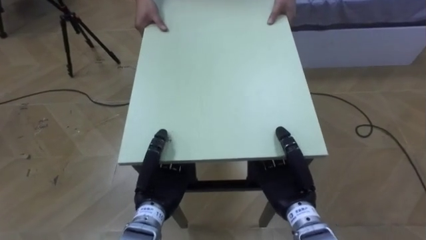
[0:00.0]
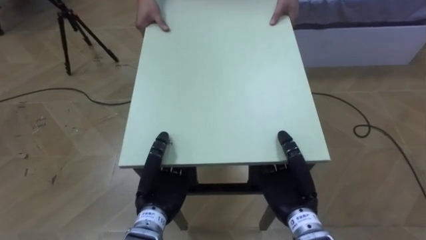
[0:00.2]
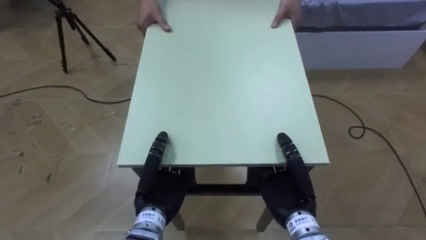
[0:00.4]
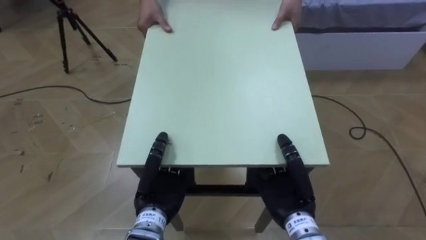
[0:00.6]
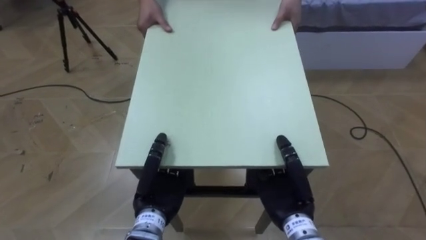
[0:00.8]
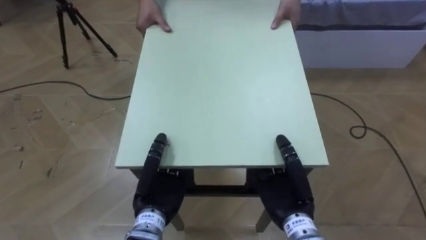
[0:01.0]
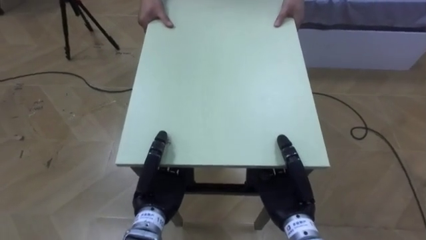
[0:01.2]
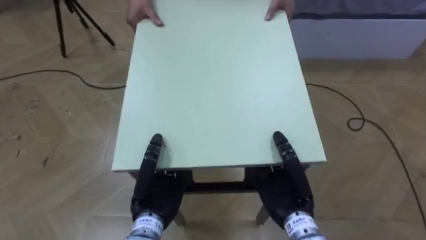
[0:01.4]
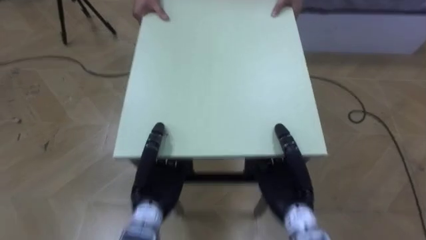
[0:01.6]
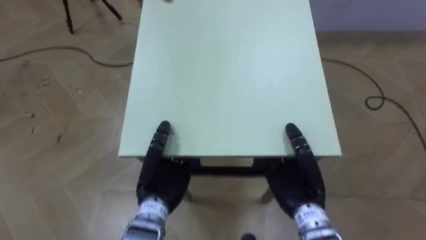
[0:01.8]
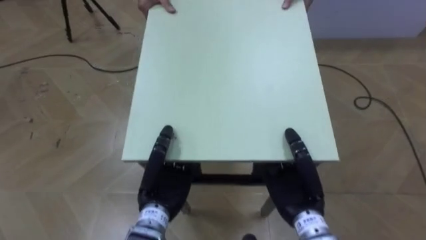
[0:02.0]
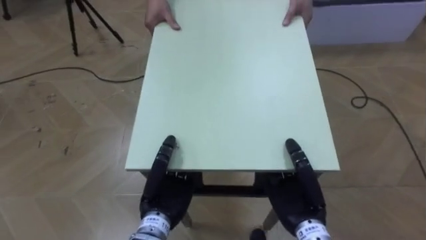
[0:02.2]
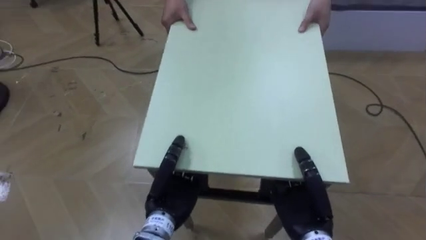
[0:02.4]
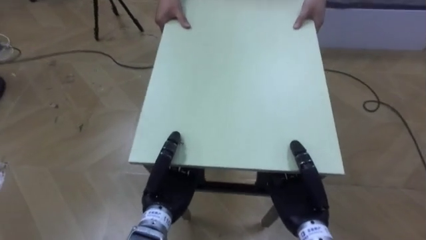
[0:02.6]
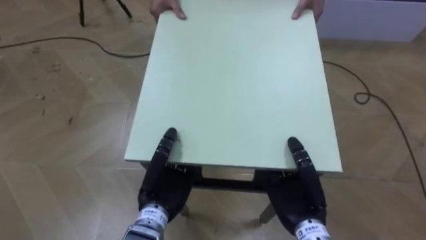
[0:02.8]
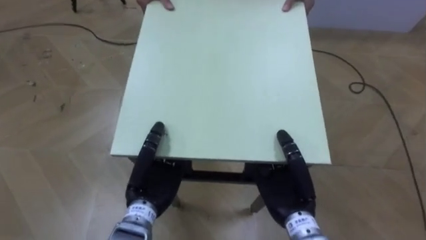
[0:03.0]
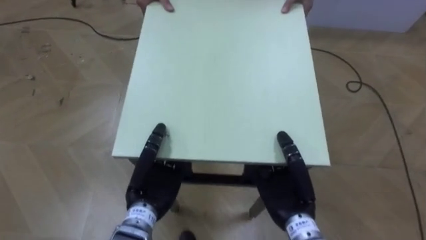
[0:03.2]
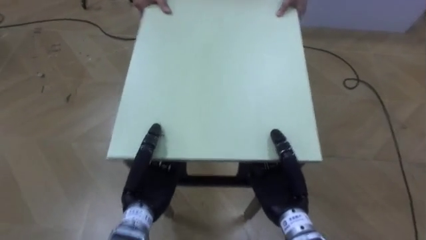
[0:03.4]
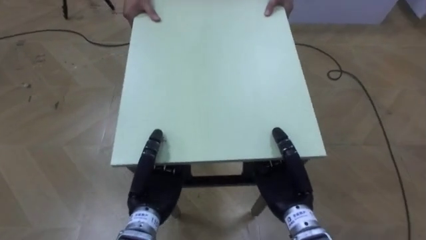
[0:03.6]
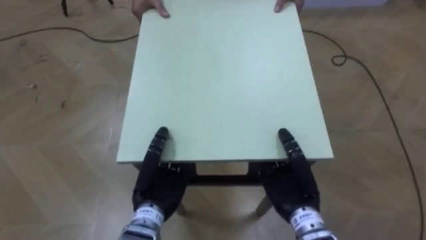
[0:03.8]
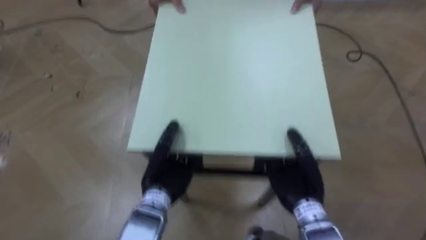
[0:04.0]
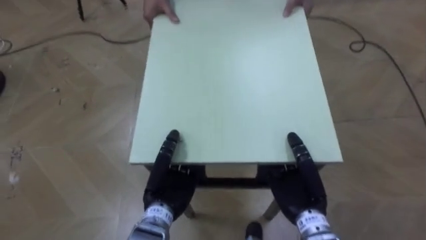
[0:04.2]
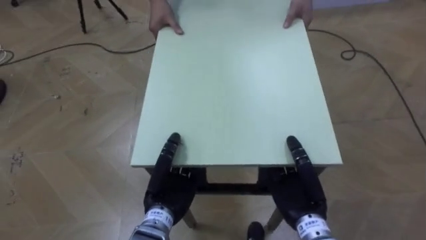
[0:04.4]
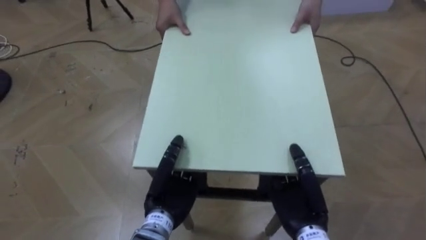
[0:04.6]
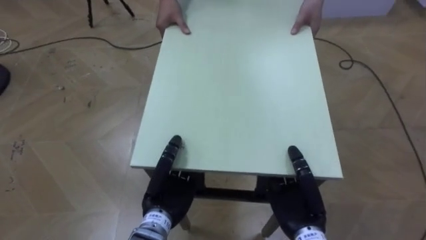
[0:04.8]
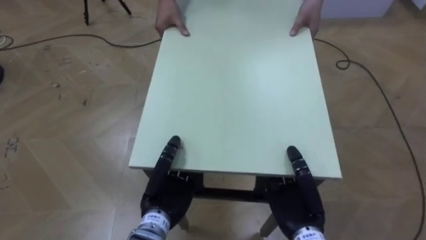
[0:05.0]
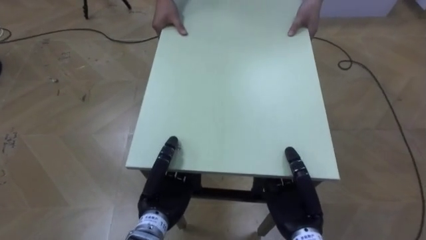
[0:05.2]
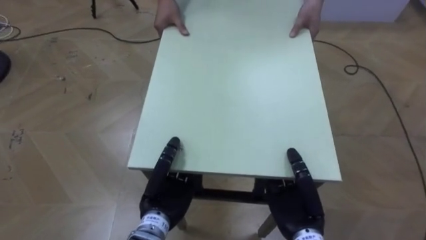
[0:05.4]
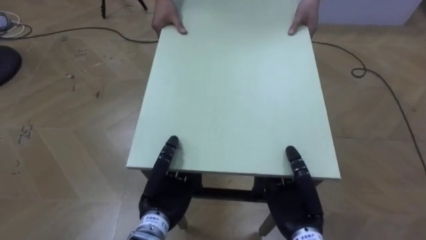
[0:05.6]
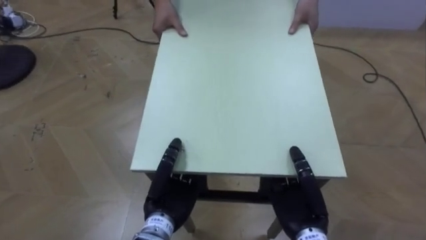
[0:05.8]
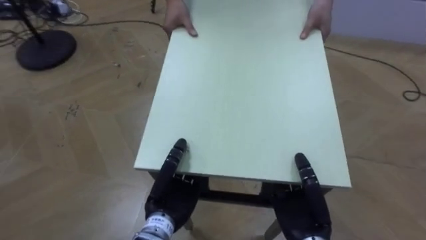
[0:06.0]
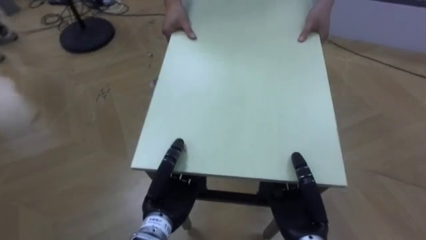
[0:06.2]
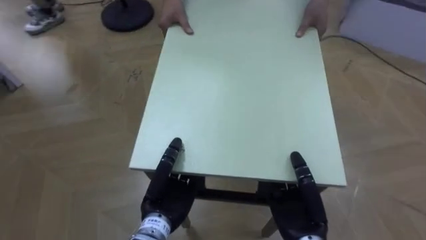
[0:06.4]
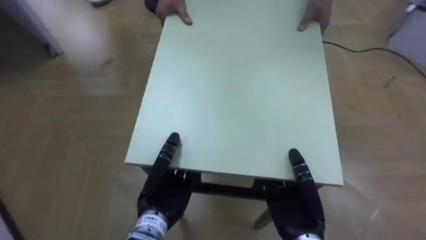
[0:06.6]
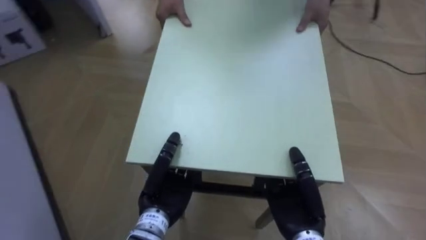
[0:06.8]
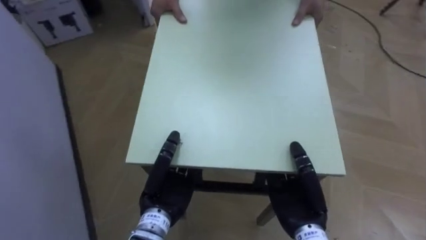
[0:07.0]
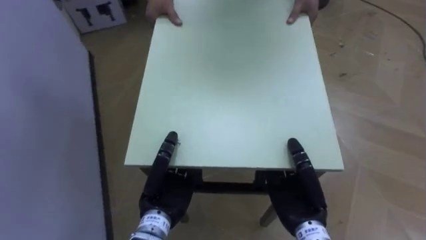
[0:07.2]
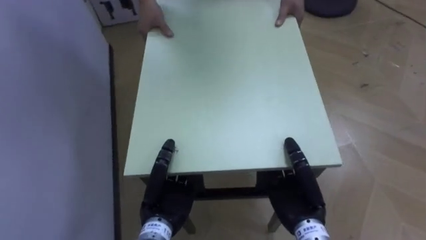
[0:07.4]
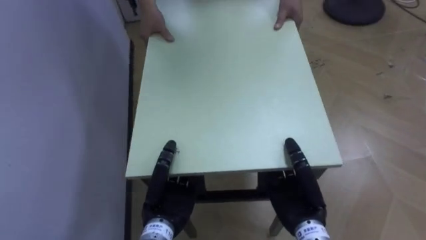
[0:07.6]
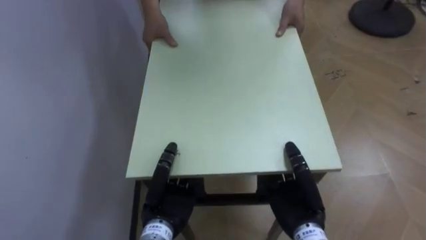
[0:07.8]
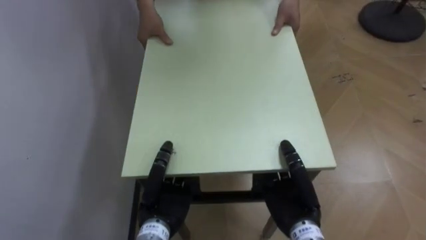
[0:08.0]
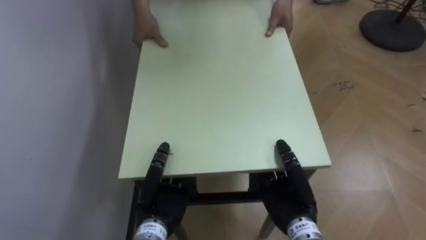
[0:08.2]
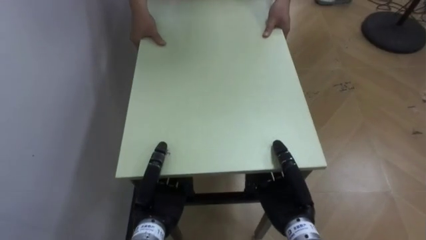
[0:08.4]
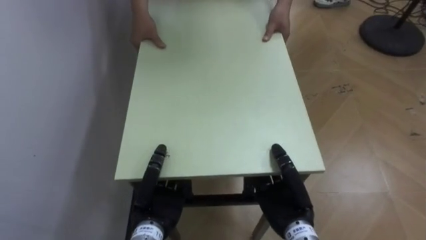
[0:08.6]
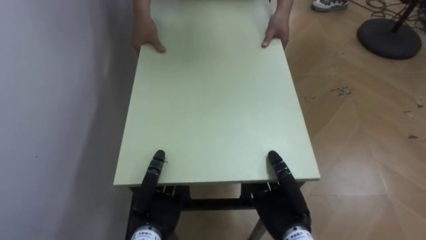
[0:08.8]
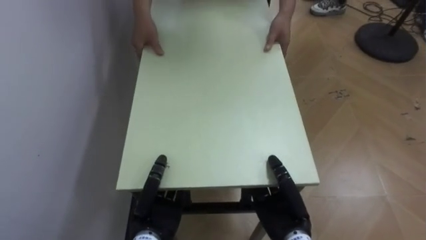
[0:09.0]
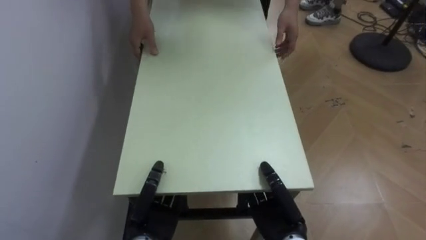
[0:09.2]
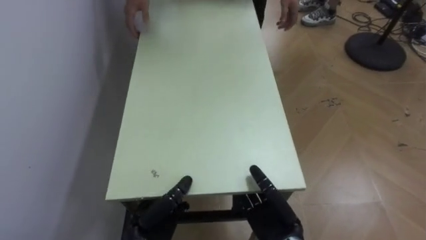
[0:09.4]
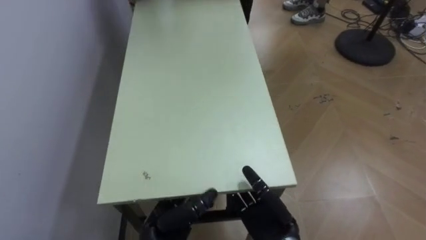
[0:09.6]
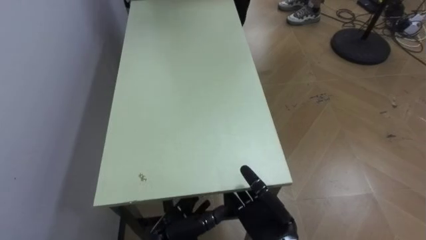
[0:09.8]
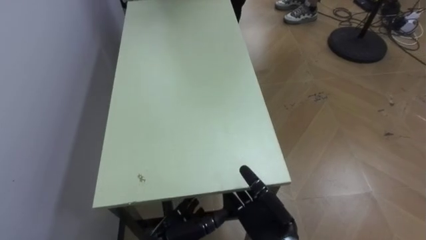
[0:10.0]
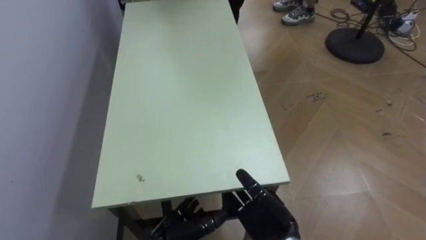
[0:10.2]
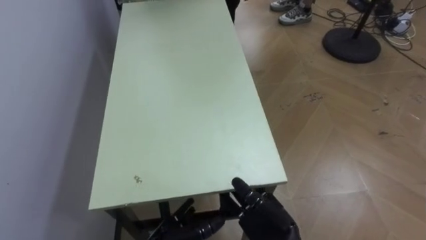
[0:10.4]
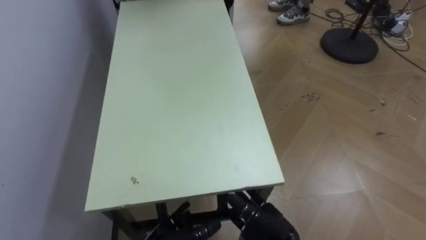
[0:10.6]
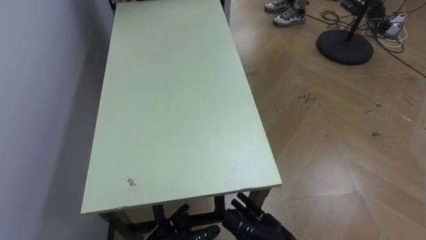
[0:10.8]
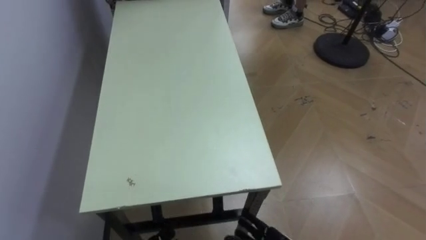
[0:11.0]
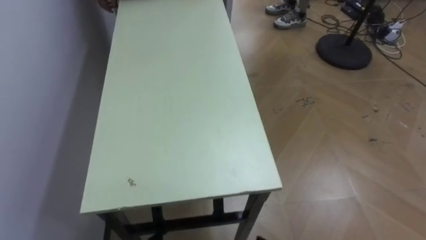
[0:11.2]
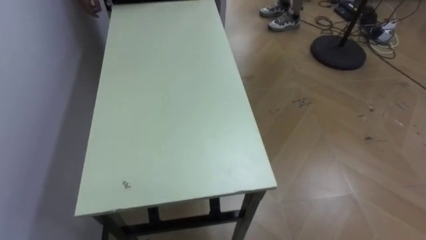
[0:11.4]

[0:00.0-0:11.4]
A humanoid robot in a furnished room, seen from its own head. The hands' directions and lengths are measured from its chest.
Task of the whole recording: Move the table to the back left with someone.
0:05.6 to 0:07.2: The robot turns to its left by roughly 60 degrees.
0:07.2 to 0:08.6: The robot's body swings roughly 20 degrees to its left.
0:08.6 to 0:10.0: The right hand opens its fingers. Meanwhile the left hand goes roughly 5 cm downward, and opens up.

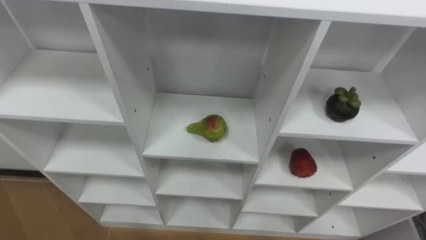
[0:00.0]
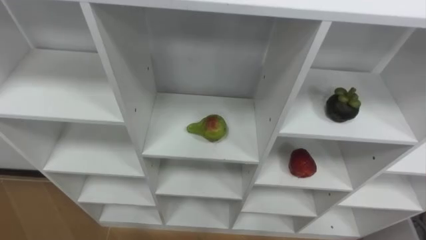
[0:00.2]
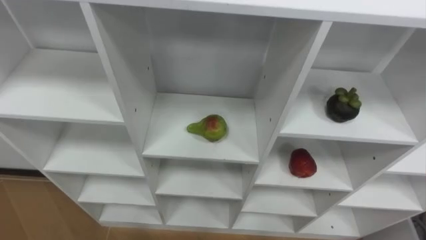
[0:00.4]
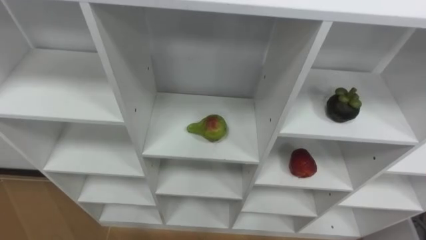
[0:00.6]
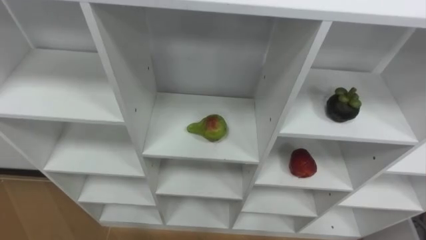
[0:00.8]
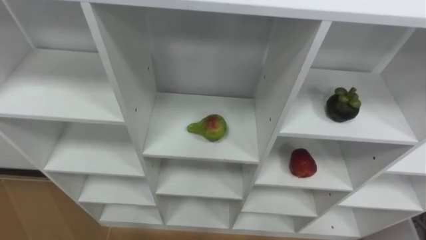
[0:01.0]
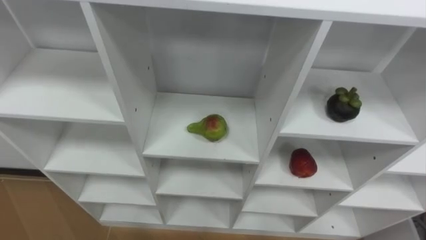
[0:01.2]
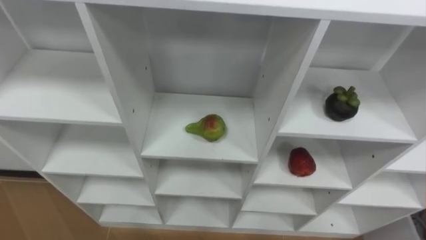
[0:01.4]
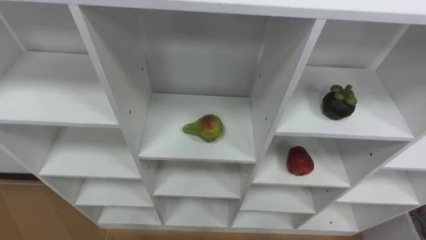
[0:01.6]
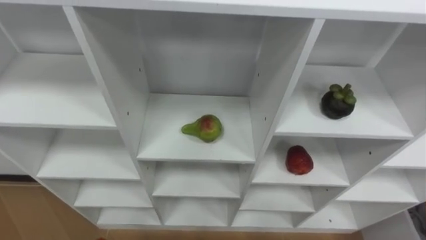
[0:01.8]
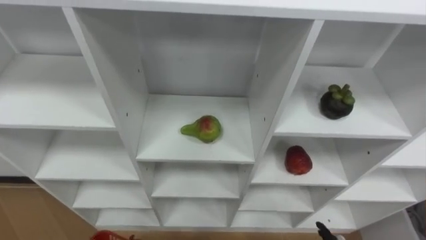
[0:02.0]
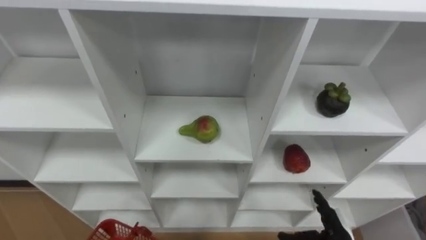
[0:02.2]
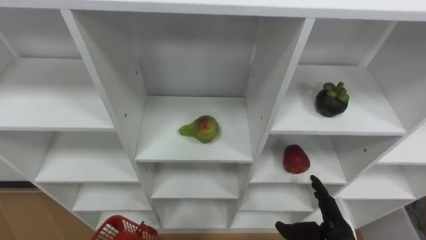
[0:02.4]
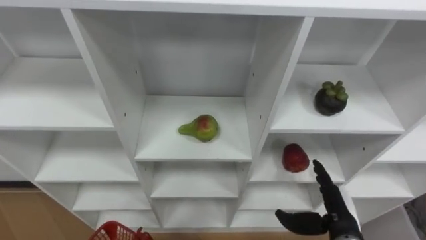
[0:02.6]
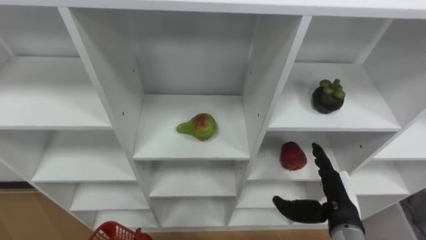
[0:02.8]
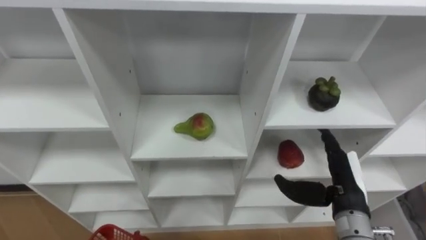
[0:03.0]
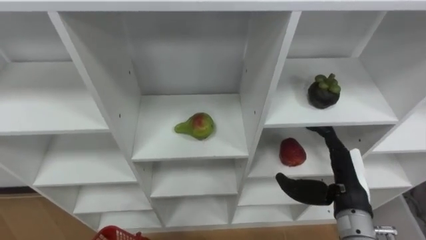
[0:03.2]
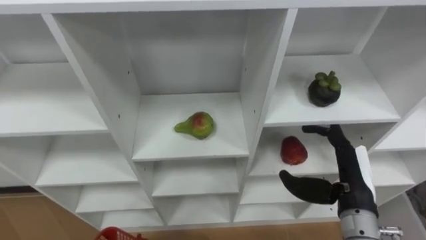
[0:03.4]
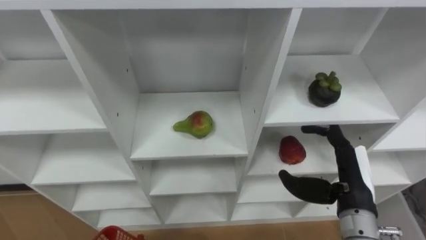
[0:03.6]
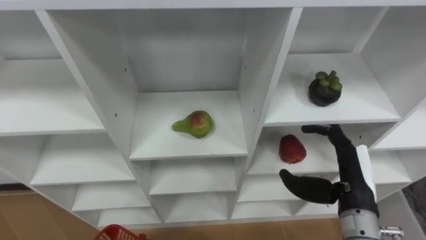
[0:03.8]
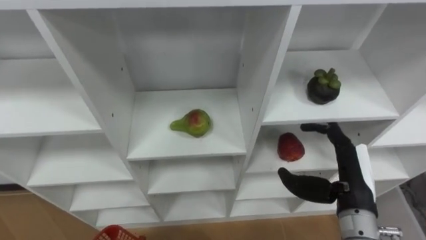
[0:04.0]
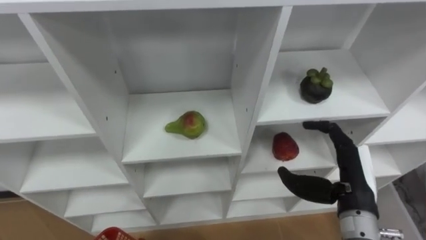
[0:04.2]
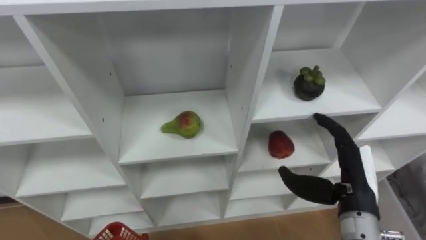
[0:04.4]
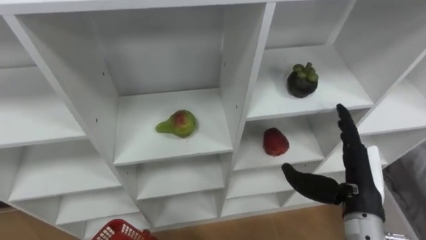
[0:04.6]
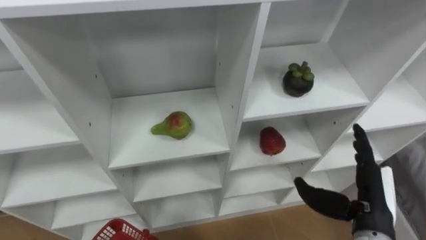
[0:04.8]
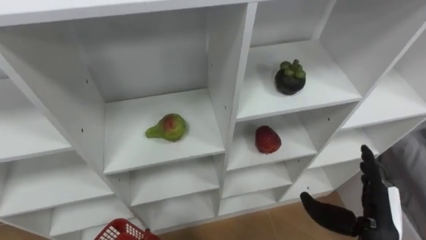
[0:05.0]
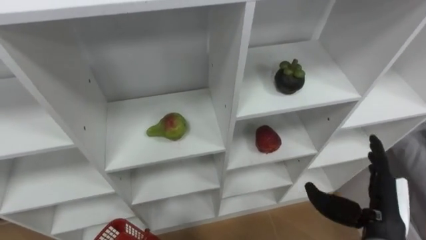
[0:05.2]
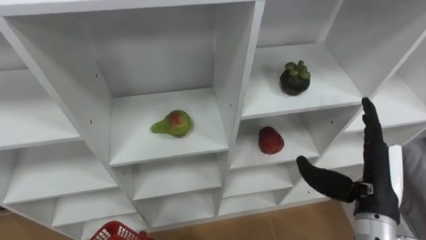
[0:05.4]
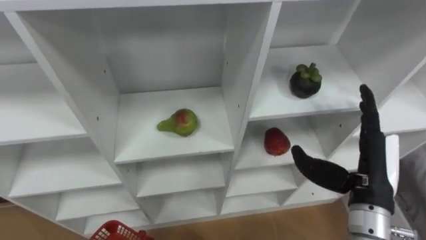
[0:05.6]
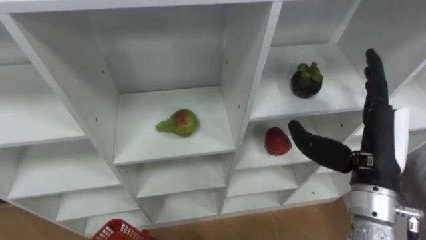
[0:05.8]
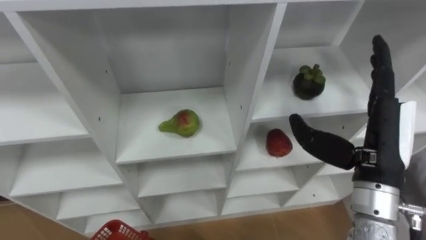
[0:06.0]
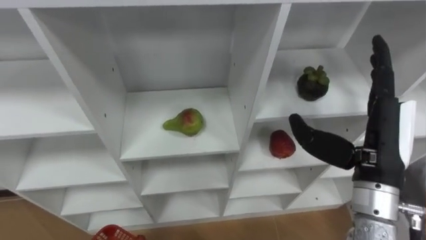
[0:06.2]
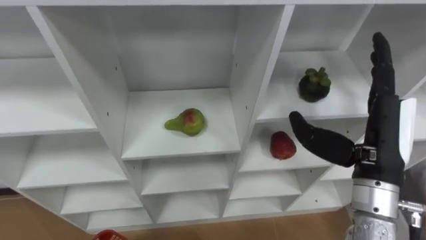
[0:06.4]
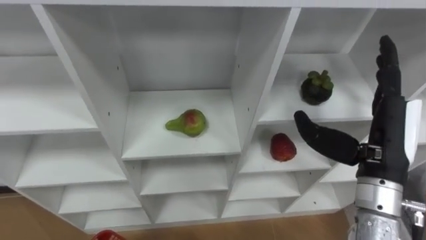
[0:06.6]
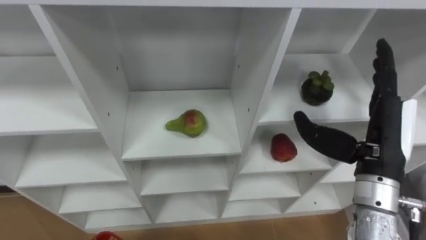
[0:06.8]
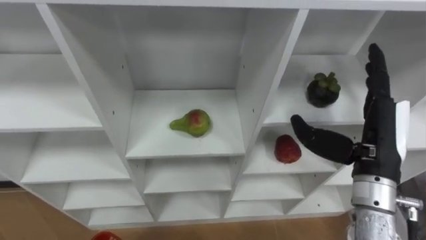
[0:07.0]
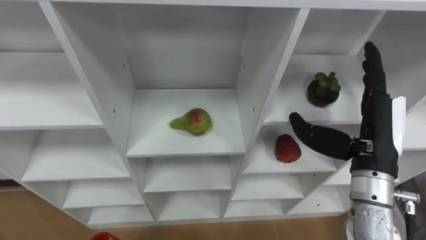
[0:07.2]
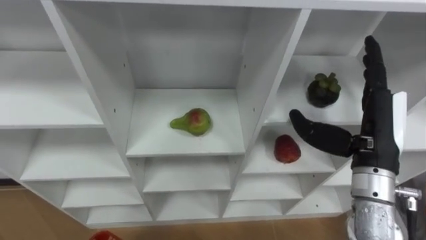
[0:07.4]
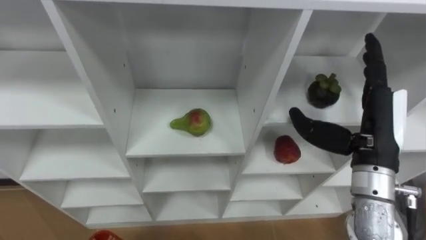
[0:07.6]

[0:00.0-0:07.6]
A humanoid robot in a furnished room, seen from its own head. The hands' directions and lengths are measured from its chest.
Task of the whole recording: Hold the basket and collect the fruits from 3 different cells of the closet into it.
0:04.6 to 0:06.0: The right hand is displaced upward by about 10 cm.
